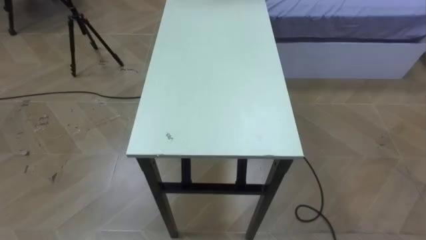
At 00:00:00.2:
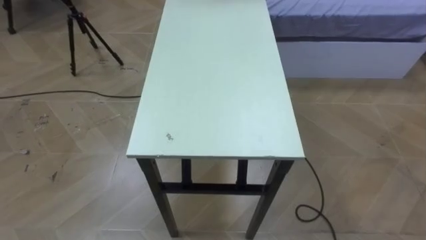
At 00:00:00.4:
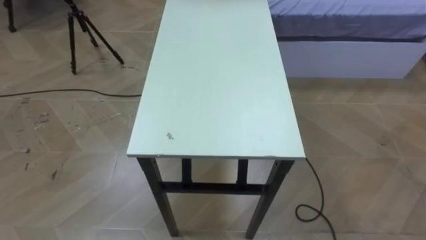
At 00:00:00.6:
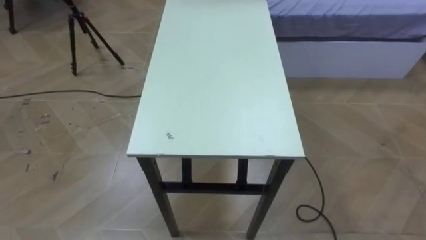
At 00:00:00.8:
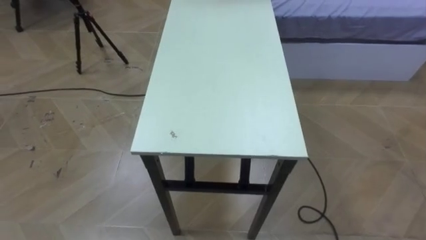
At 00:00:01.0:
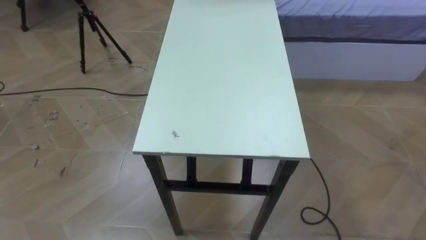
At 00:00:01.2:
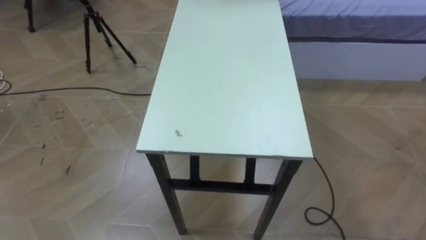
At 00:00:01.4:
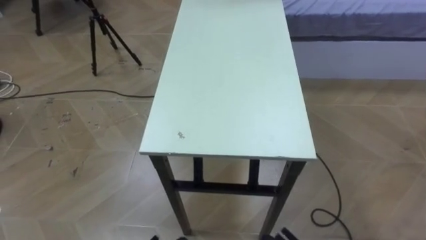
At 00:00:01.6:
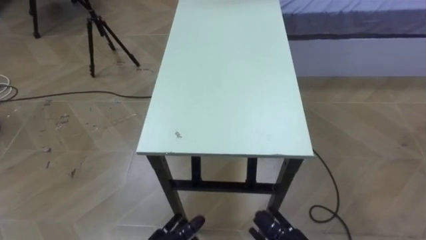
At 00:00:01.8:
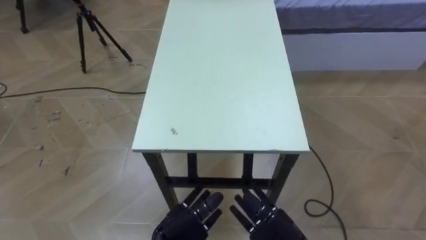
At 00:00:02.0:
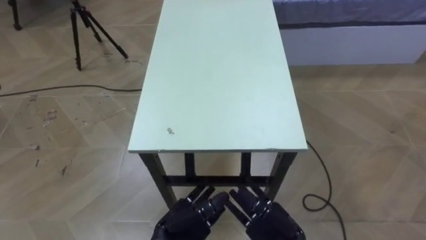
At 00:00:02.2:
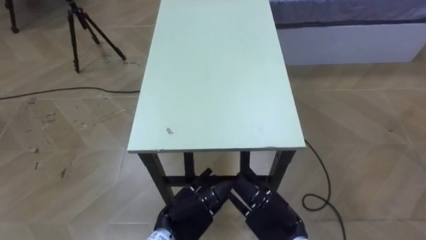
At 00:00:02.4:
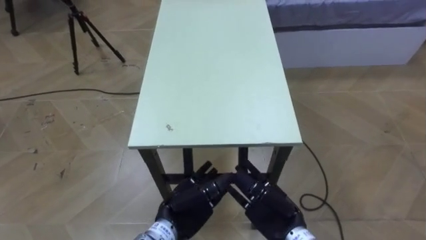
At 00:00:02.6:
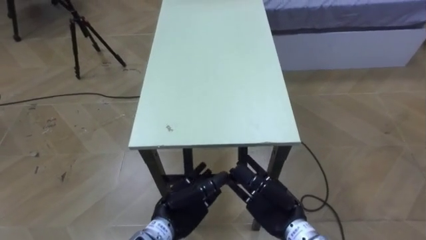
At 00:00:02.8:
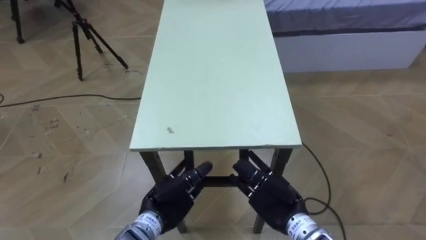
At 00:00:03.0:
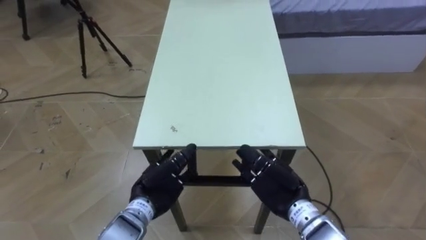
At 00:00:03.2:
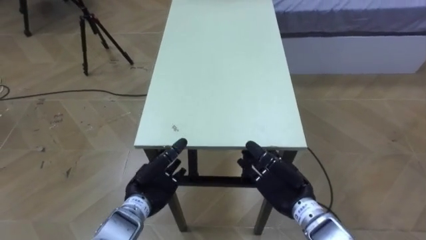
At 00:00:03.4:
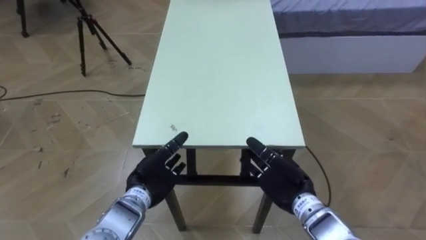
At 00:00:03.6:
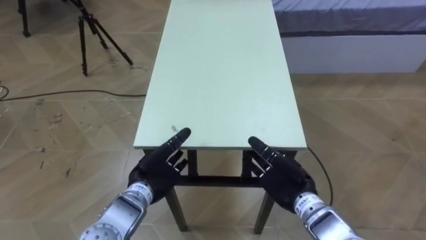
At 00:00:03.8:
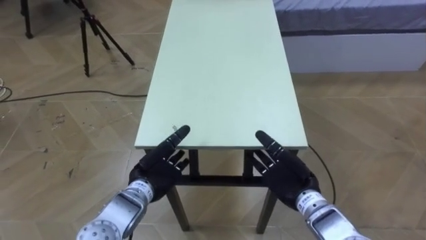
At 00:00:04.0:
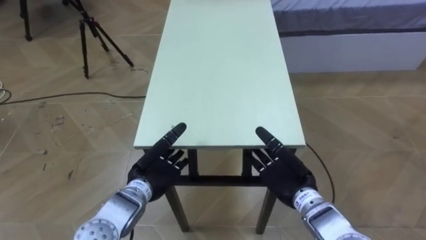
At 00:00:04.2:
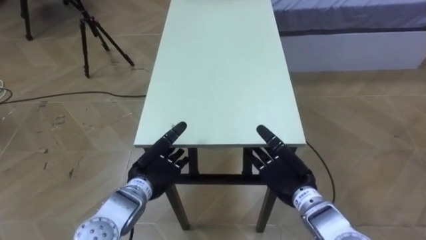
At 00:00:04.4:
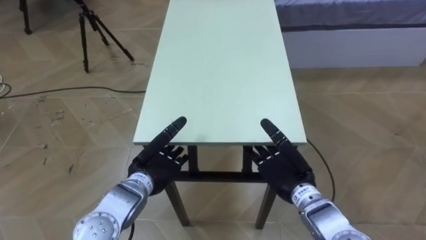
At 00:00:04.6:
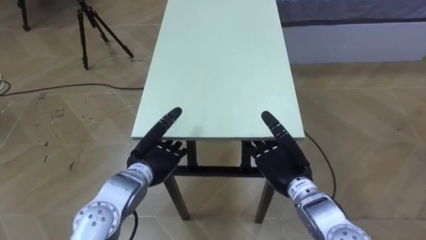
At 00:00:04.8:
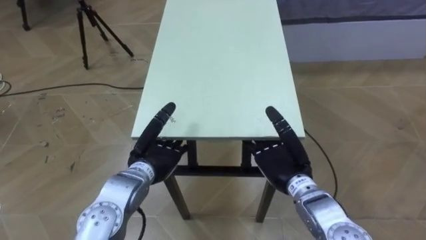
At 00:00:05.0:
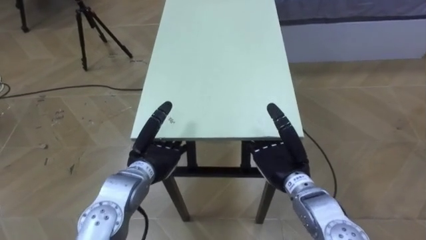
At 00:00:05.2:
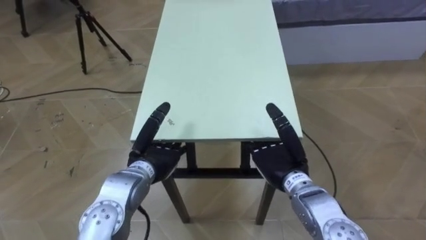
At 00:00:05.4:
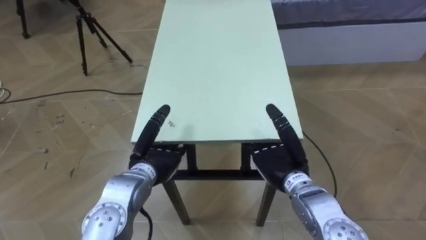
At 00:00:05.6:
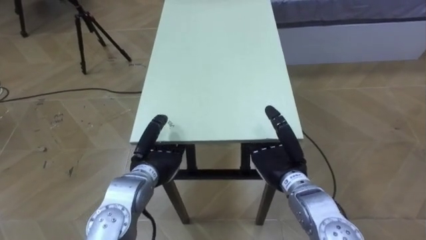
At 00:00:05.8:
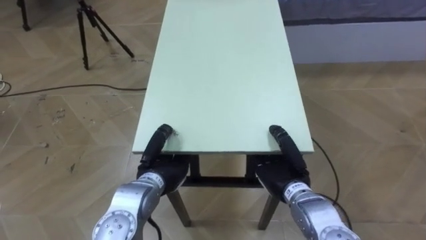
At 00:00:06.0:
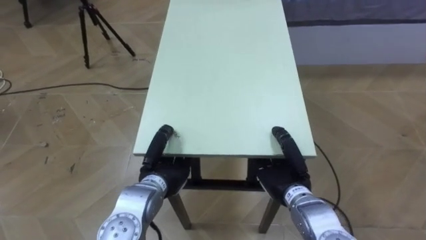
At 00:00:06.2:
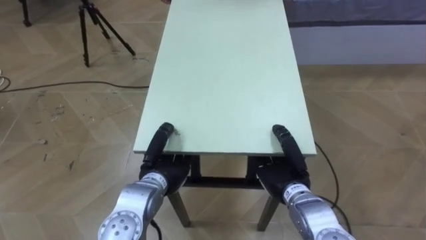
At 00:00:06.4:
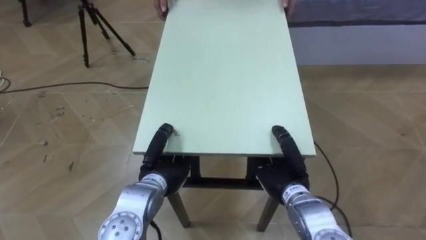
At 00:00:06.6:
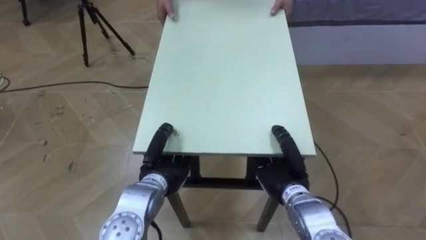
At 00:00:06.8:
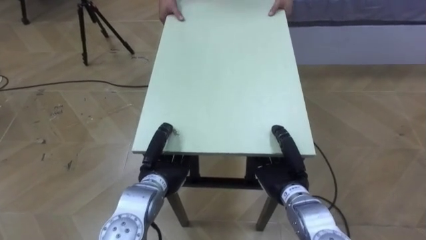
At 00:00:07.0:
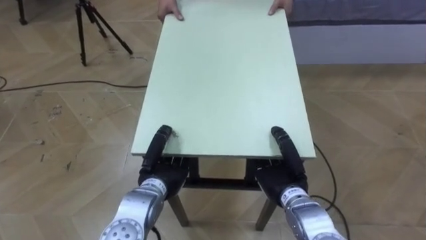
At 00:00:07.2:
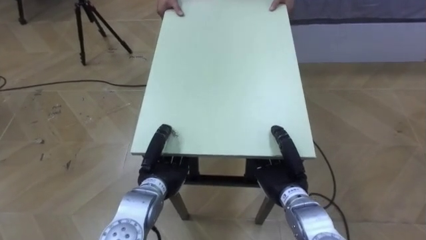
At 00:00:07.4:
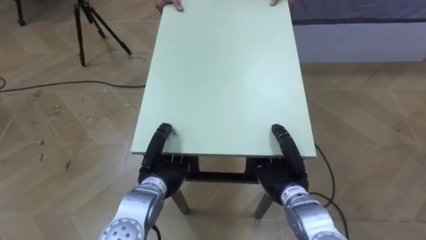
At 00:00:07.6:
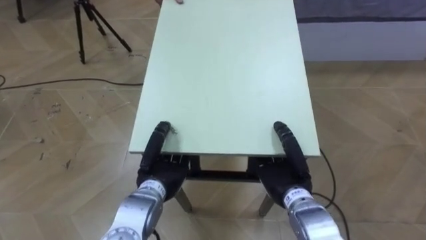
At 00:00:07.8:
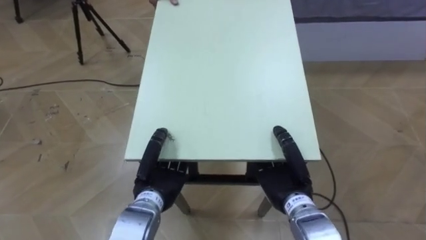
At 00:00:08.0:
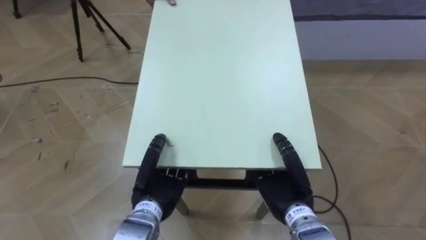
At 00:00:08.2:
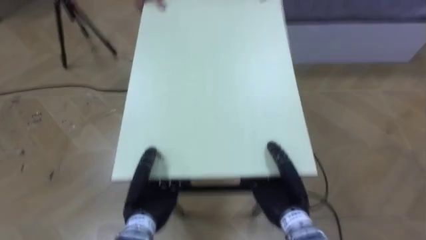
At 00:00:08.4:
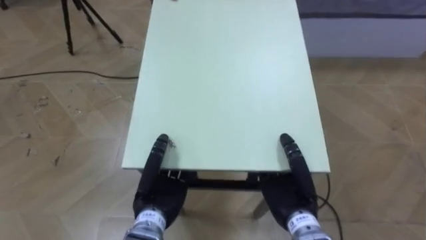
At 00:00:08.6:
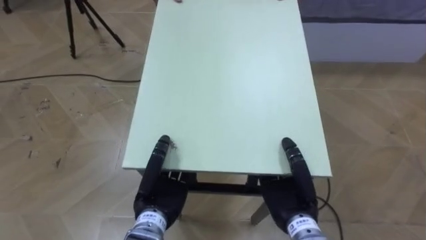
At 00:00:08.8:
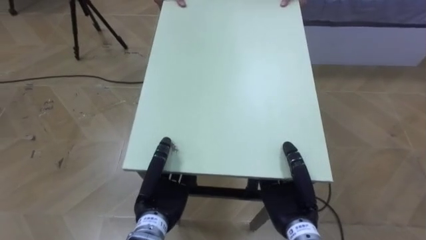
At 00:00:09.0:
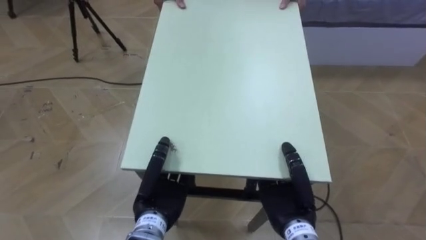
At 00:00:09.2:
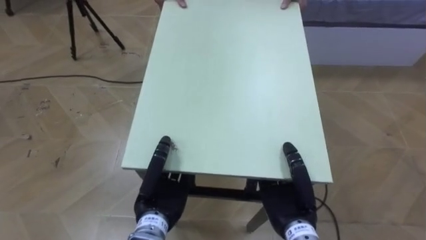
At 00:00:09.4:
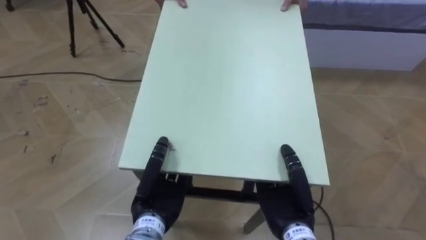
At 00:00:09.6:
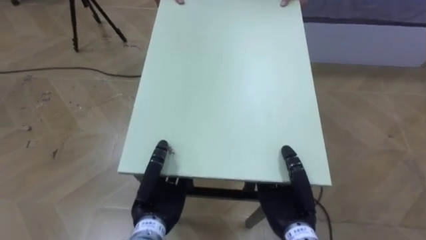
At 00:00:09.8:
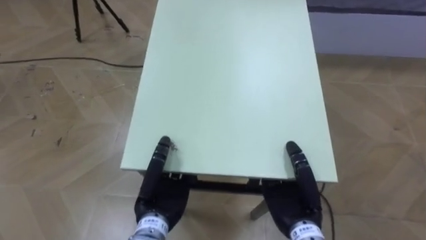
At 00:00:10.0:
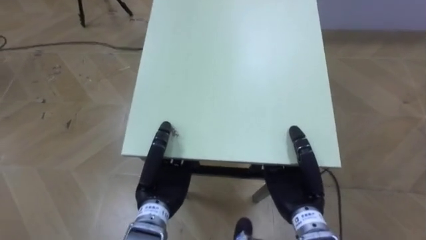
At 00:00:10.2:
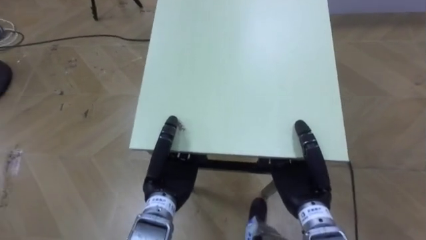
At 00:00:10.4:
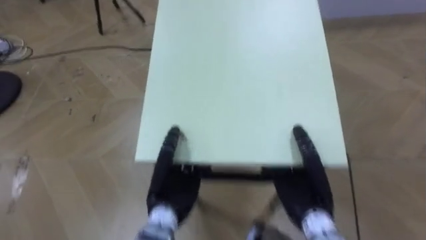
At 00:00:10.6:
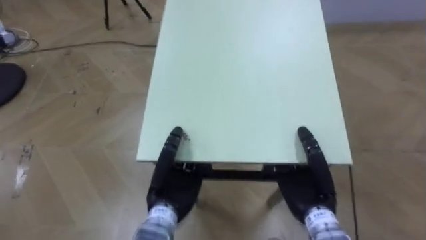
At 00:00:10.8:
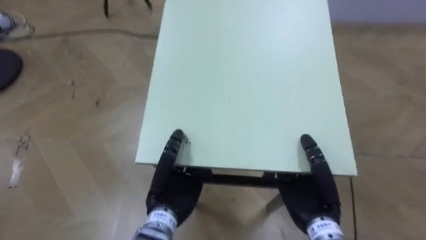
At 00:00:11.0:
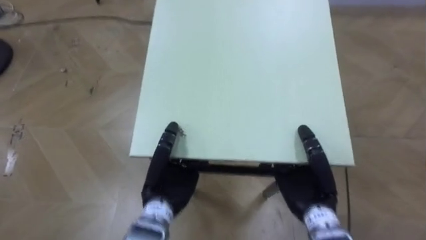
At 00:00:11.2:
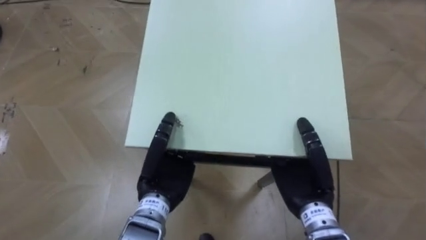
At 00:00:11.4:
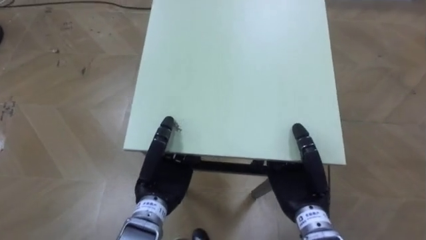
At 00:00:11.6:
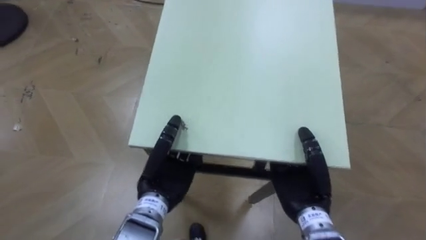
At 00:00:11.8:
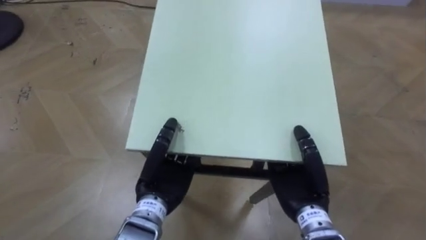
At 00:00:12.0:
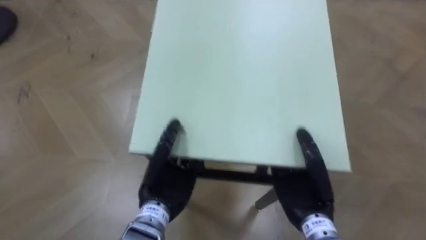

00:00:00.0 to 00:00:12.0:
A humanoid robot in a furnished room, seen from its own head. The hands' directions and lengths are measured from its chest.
Task of the whole recording: Move the table to the back left with someone.
00:00:03.0 to 00:00:04.4: There are only small adjustments of the hands.
00:00:04.4 to 00:00:06.0: The right hand closes up, while the left hand closes.
00:00:07.6 to 00:00:09.0: The left hand goes roughly 5 cm backward.

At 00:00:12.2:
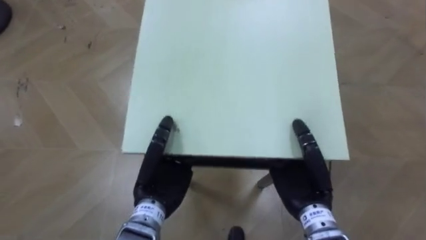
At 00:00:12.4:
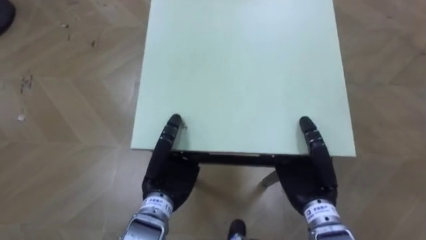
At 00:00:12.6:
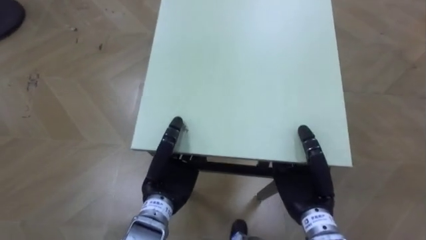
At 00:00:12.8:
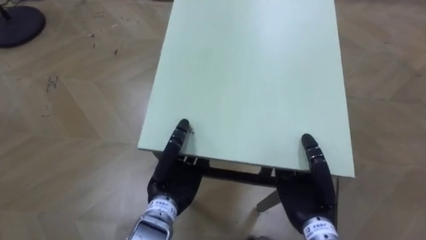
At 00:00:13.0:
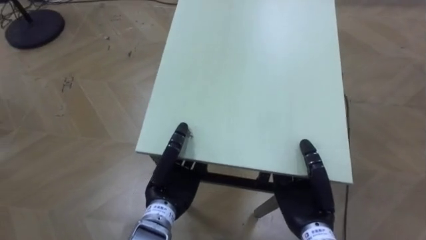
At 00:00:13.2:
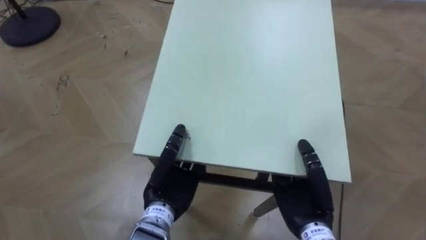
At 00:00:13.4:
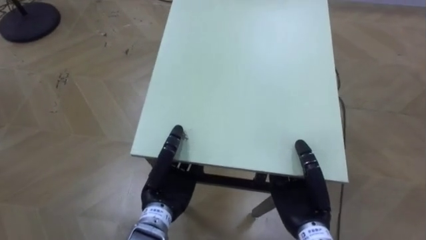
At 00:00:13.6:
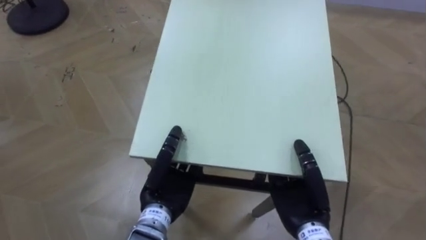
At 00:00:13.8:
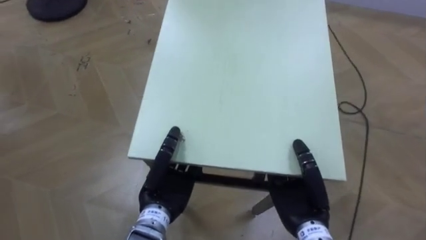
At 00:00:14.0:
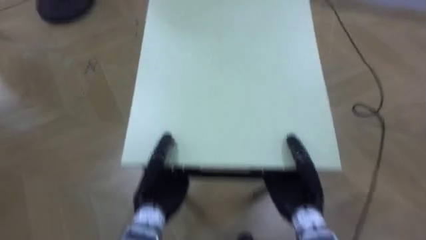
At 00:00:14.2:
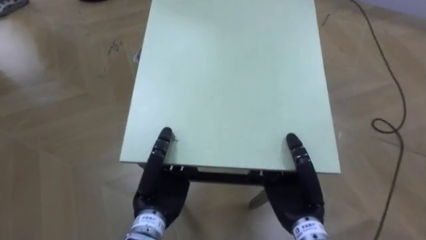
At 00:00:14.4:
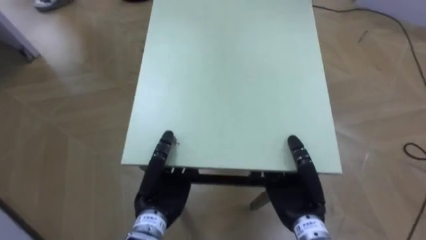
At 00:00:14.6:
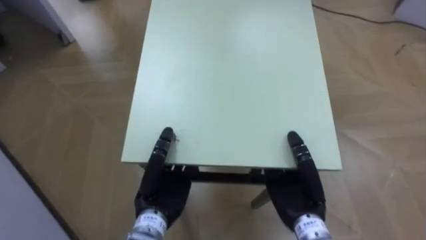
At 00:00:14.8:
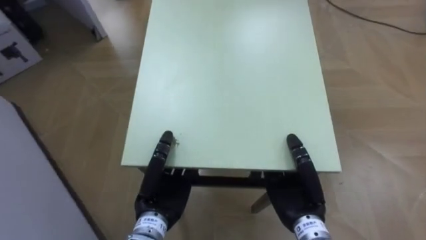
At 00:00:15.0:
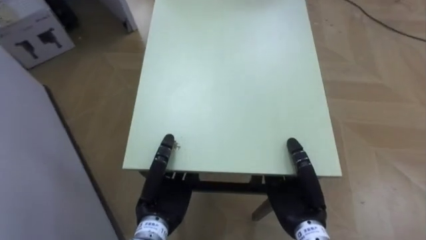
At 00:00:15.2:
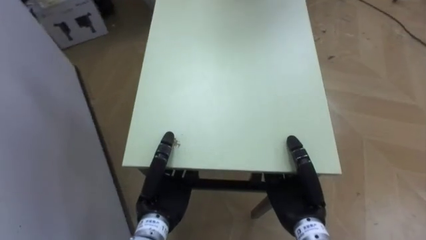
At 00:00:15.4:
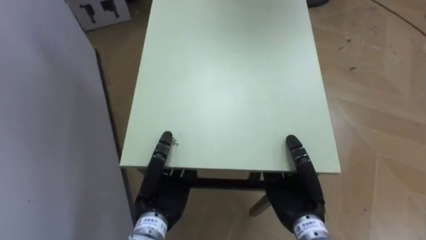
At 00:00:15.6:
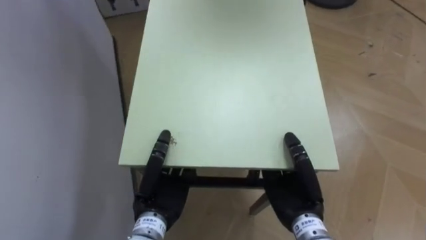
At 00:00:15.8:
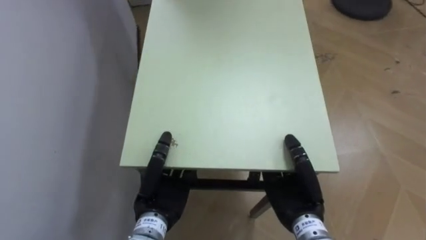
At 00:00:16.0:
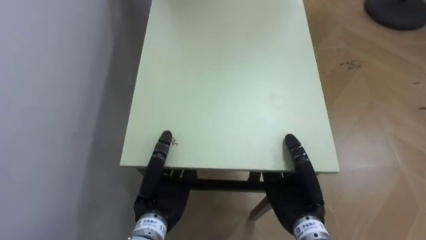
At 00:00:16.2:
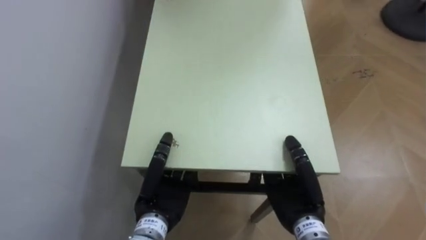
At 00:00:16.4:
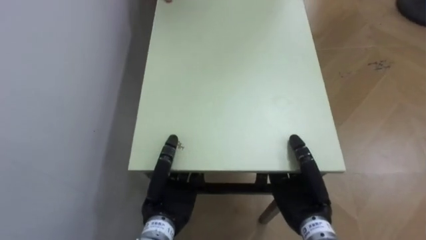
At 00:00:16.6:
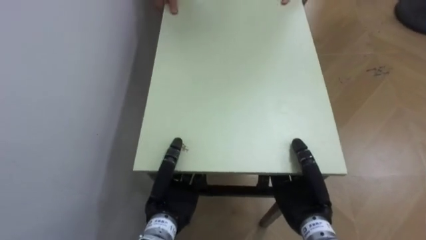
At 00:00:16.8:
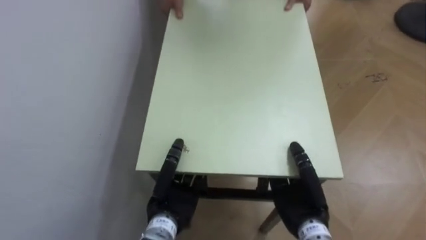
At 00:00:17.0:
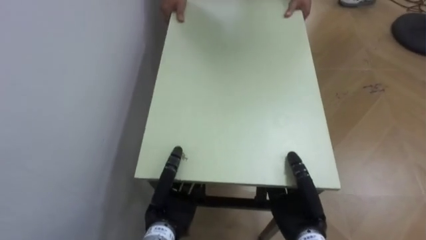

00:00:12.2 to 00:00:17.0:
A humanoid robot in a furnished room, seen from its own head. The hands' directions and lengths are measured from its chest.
Task of the whole recording: Move the table to the back left with someone.
00:00:13.8 to 00:00:15.4: The robot turns to its left by roughly 55 degrees.
00:00:15.4 to 00:00:17.0: The robot turns to its left by about 30 degrees.
